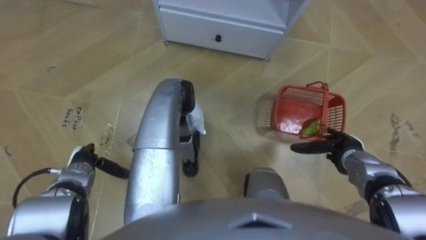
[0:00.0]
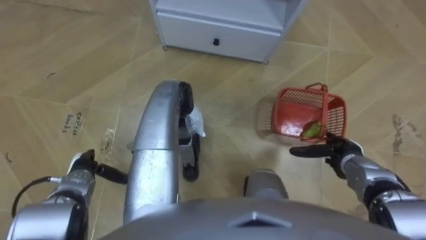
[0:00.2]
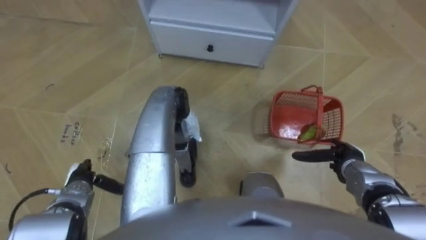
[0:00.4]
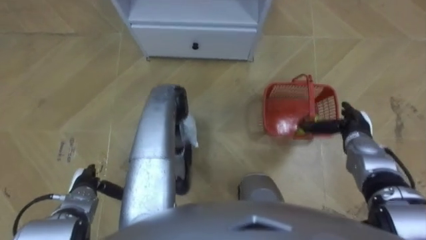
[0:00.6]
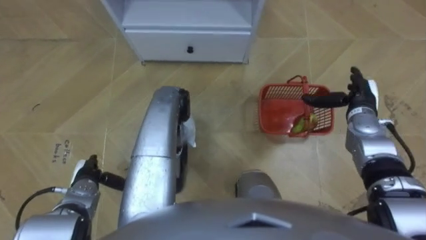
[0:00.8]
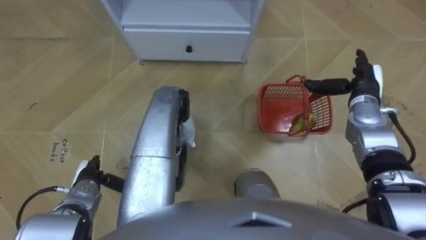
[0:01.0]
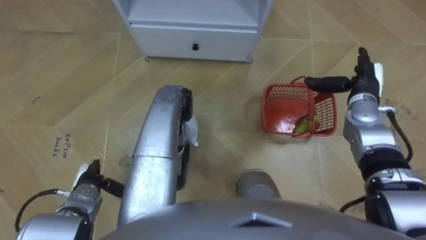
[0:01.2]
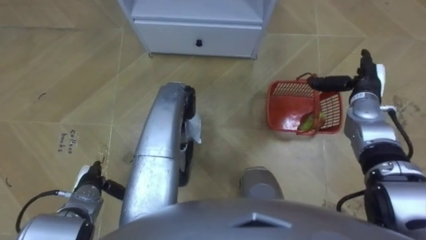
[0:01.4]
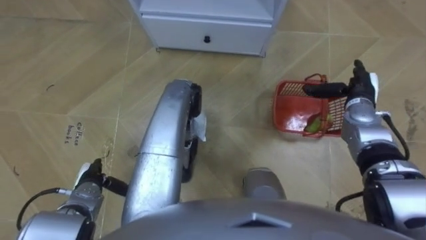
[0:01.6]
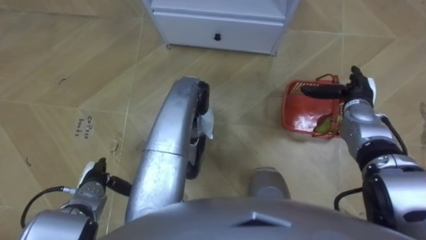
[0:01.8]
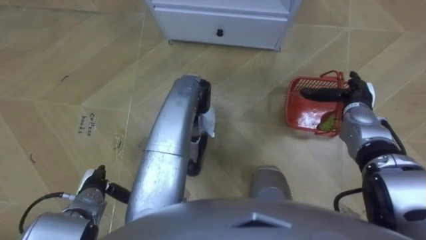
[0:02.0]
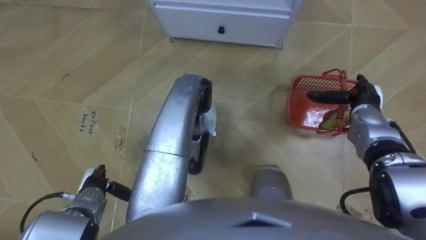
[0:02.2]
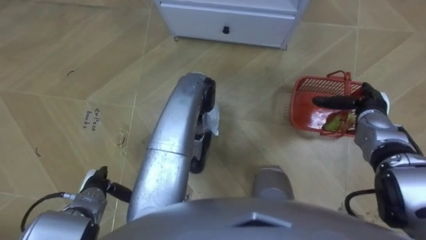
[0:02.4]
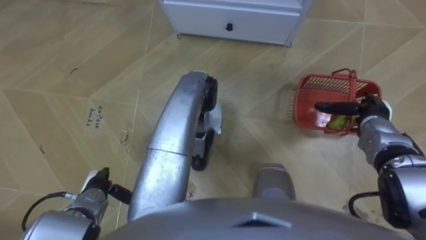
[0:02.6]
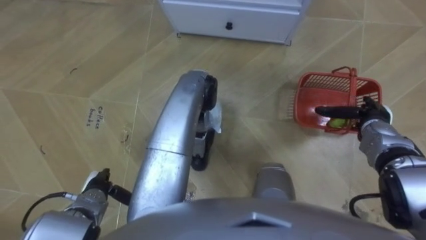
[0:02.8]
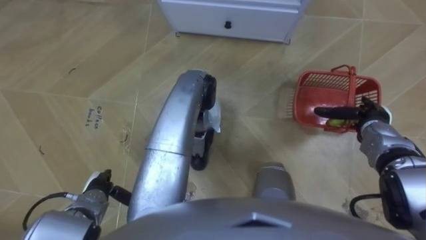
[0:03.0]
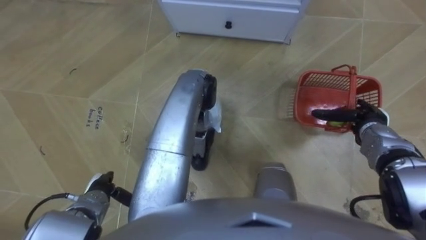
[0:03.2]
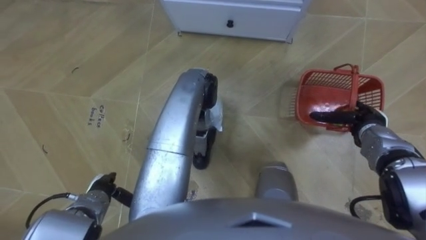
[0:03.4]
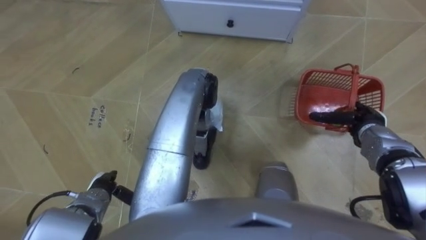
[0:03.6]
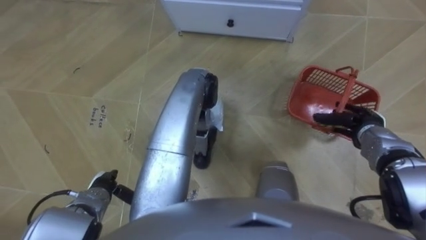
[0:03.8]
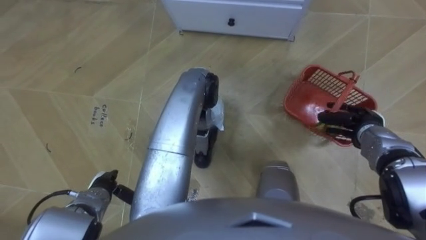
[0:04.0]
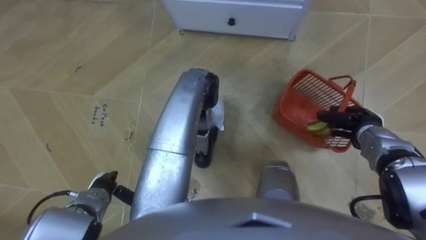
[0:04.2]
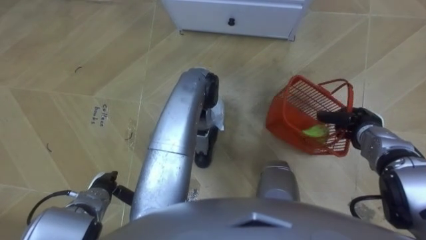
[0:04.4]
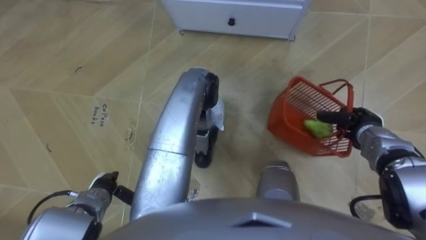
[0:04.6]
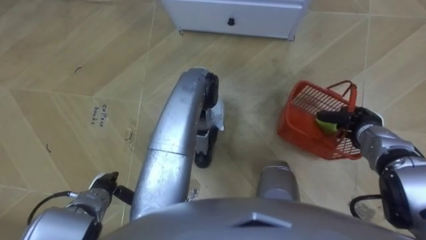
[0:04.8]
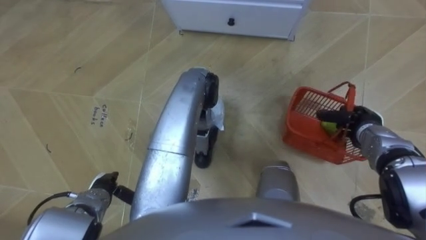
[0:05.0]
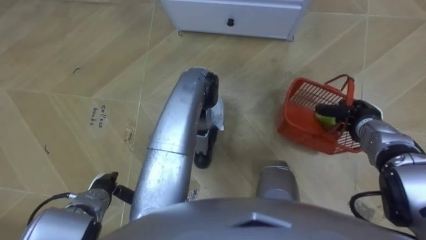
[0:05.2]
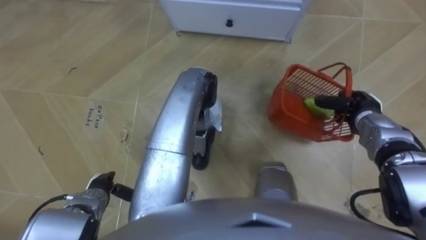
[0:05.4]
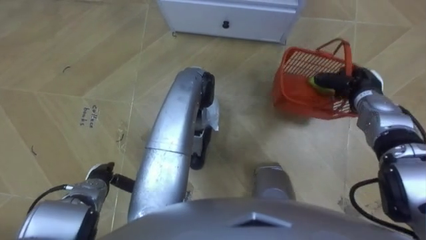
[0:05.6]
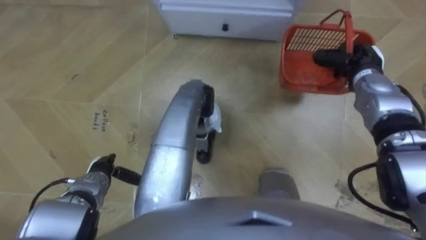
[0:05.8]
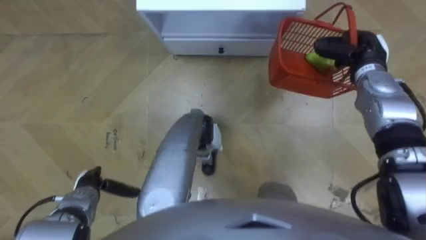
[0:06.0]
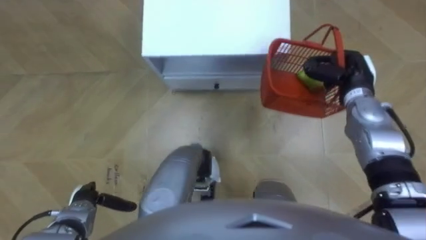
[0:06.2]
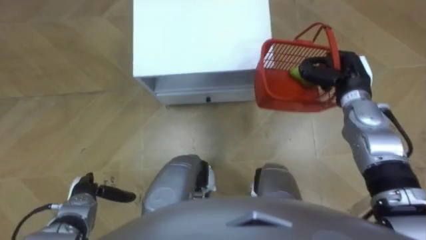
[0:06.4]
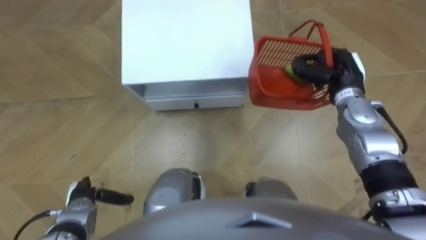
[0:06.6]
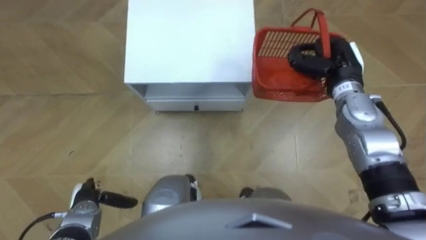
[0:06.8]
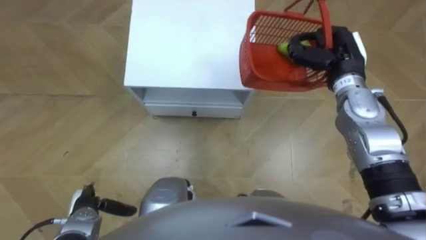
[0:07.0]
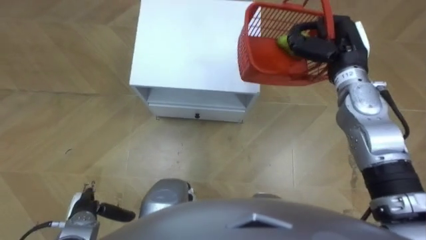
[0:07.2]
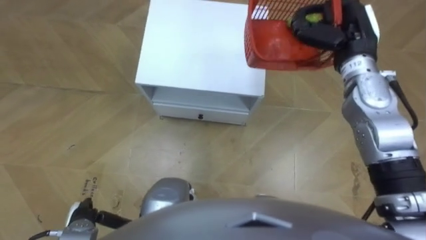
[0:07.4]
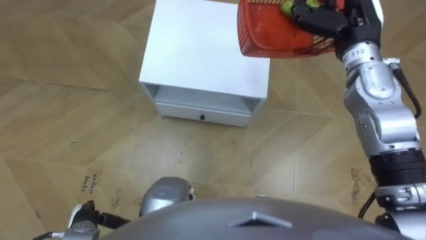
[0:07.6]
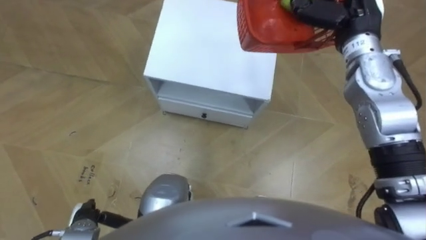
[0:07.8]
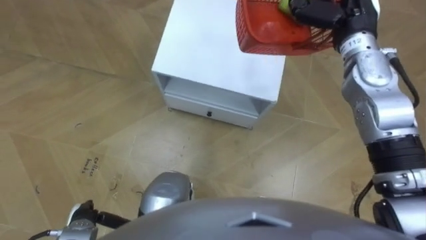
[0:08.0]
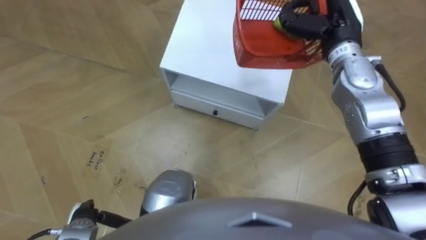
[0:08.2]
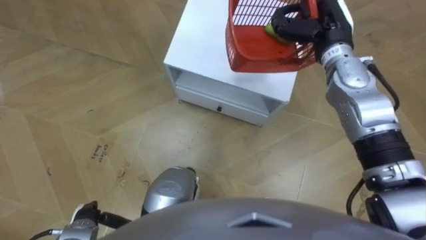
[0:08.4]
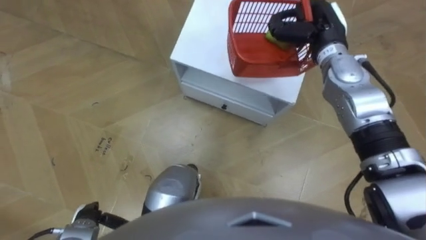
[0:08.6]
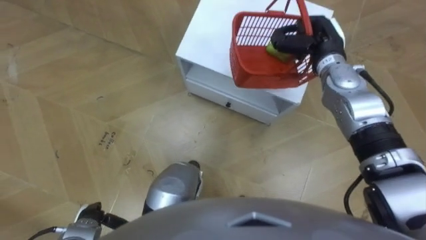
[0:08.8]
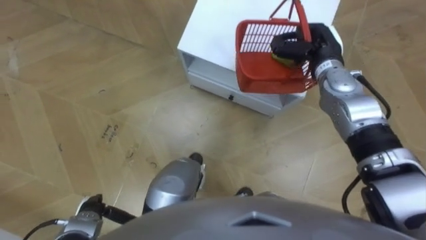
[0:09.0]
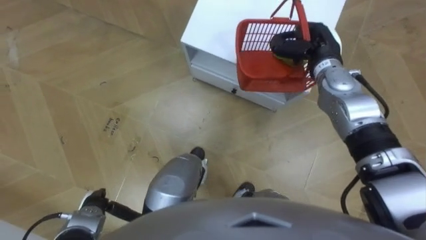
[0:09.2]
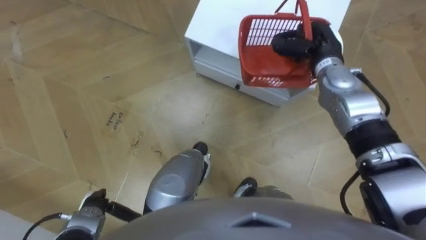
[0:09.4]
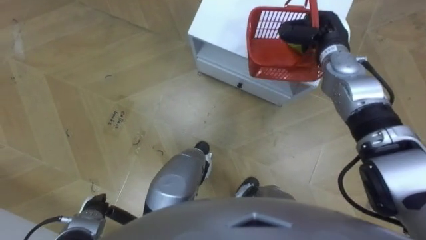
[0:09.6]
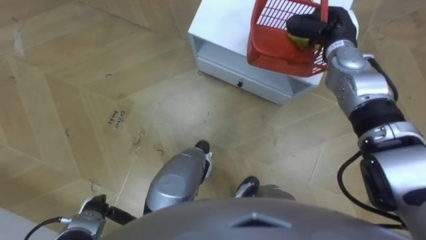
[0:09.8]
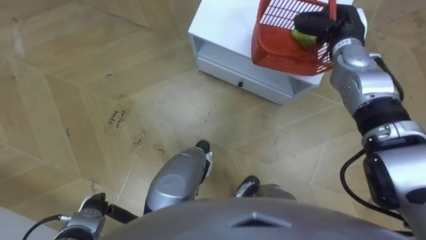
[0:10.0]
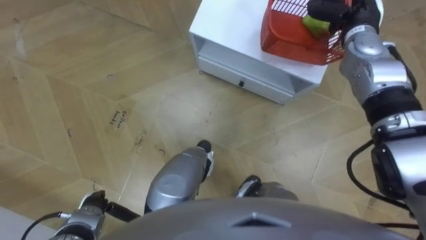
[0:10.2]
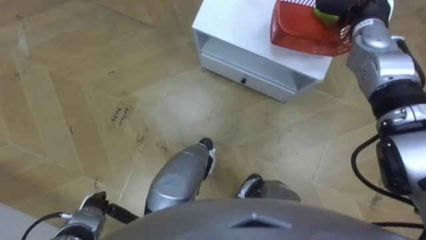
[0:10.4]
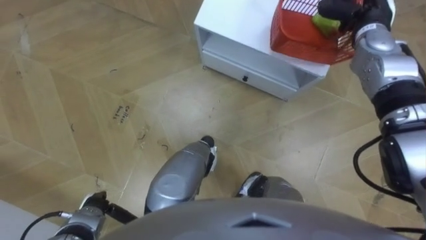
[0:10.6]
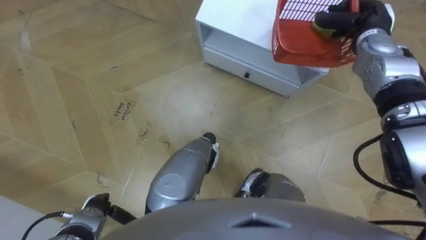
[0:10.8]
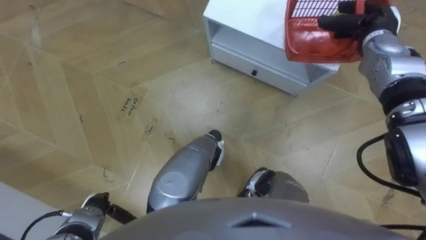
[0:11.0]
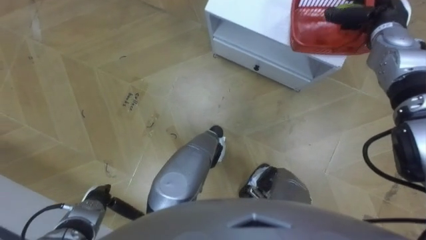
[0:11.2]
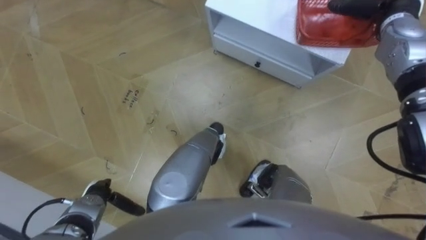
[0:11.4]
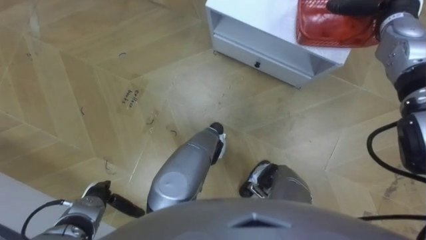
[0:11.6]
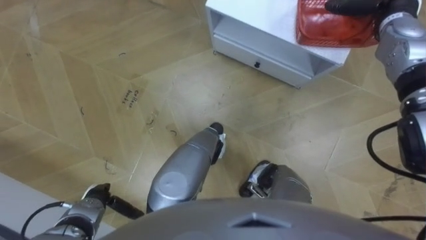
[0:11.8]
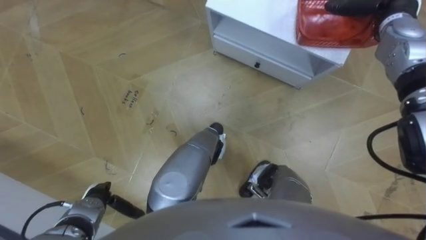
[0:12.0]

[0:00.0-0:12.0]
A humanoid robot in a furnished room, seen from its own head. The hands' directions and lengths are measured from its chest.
Task of the whole recording: Pick up the fruit basket from the floor and place it on the cabinet.
0:00.0 to 0:01.6: The right hand heads forward and upward, covering approximately 15 cm.
0:01.6 to 0:03.0: The right hand shifts approximately 5 cm backward.
0:03.0 to 0:04.4: The right hand closes up.
0:04.4 to 0:06.0: The right hand goes about 15 cm forward and upward.
0:06.0 to 0:07.6: The left hand travels backward by roughly 10 cm. The right hand heads upward and to the left, covering about 10 cm.
0:07.6 to 0:09.0: The right hand goes roughly 10 cm downward.
0:09.0 to 0:10.4: The right hand travels to the right by some 5 cm.
0:10.4 to 0:12.0: The right hand opens.

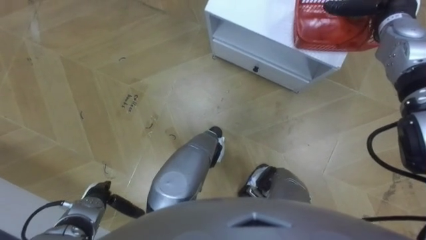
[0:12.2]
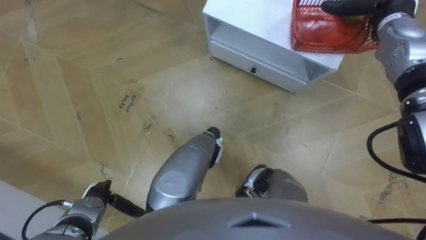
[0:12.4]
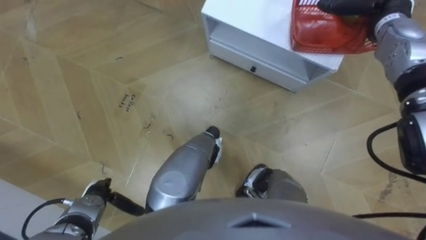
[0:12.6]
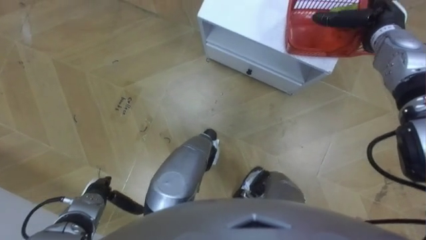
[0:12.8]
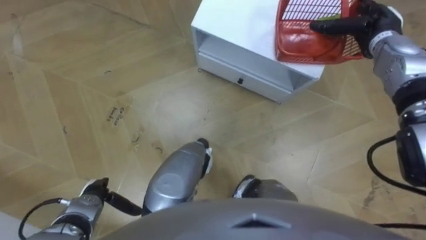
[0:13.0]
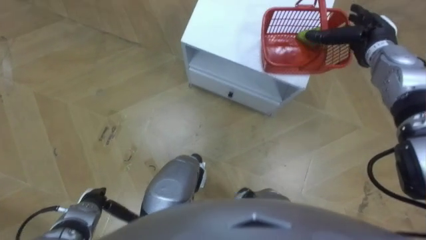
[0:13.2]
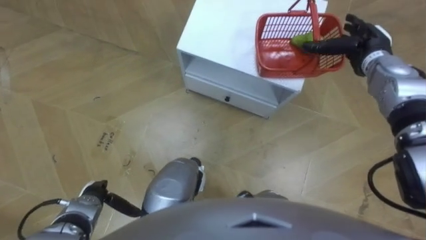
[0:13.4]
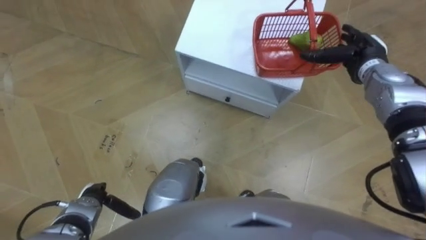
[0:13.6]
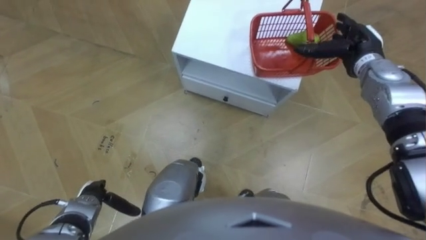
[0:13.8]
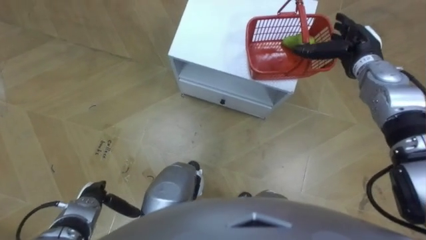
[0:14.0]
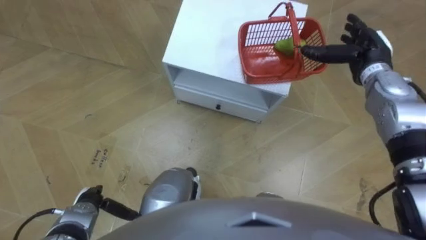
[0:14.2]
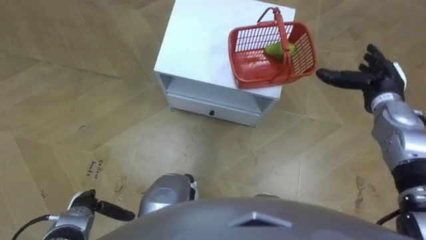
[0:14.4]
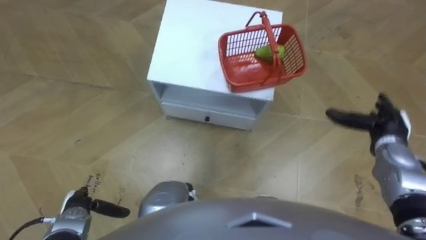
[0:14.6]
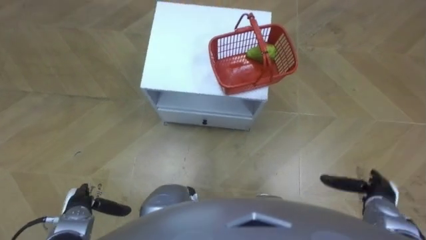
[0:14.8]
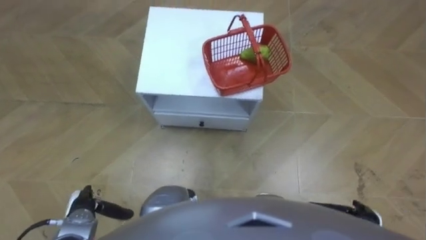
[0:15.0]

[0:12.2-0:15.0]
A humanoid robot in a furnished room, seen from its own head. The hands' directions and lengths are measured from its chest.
Task of the whole recording: Pick up the fruit basket from the floor and place it on the cabinet.
0:12.2 to 0:13.6: The right hand heads downward and backward, covering approximately 10 cm.
0:13.6 to 0:15.0: The right hand travels backward and downward by roughly 35 cm.

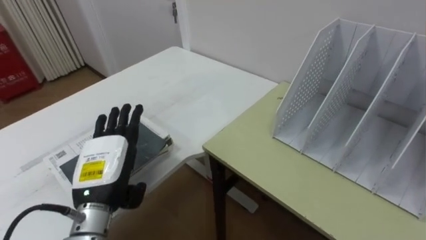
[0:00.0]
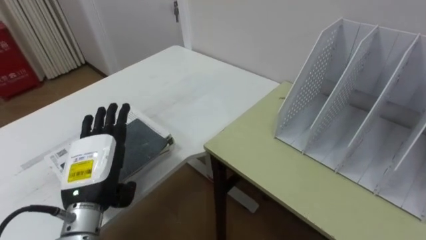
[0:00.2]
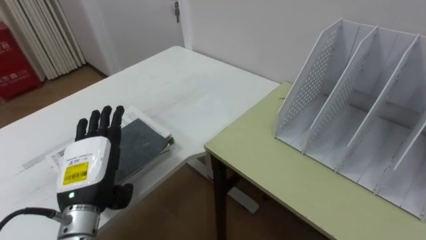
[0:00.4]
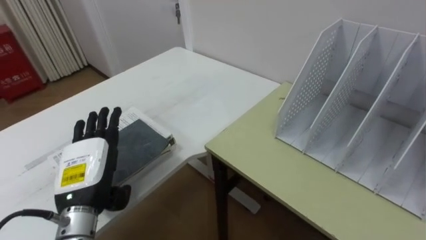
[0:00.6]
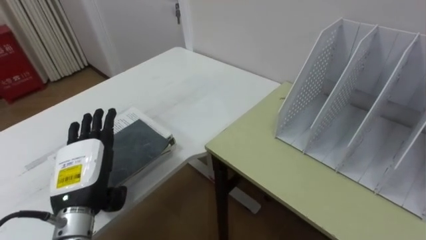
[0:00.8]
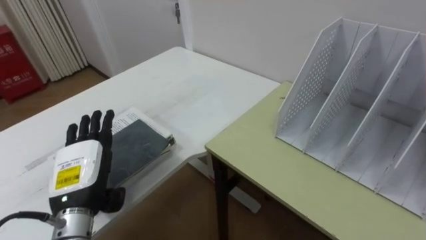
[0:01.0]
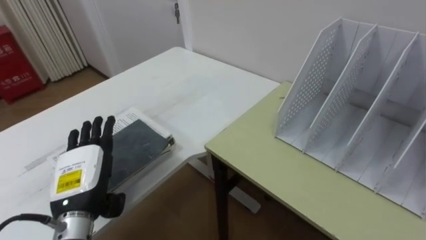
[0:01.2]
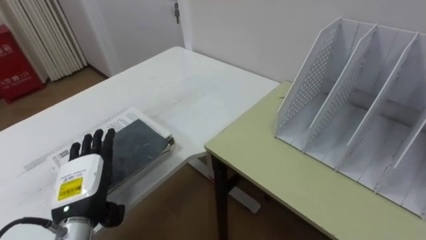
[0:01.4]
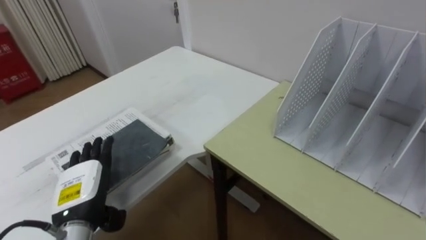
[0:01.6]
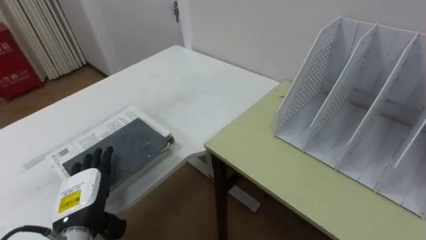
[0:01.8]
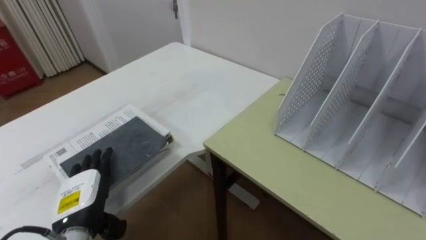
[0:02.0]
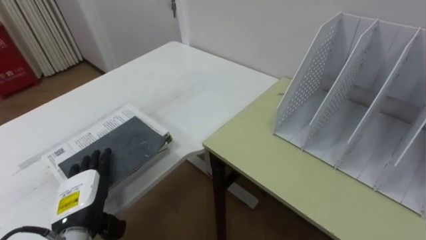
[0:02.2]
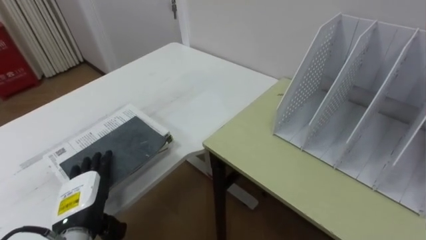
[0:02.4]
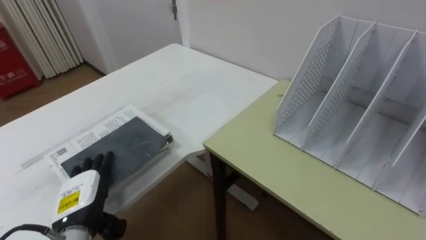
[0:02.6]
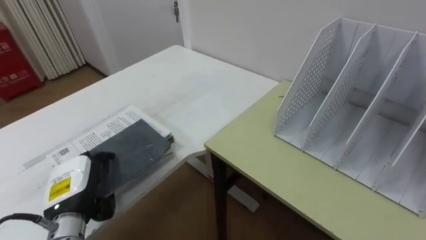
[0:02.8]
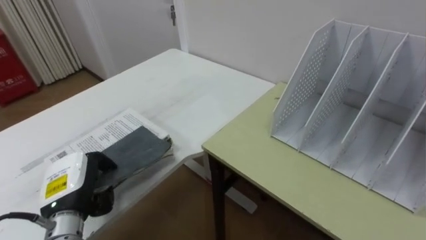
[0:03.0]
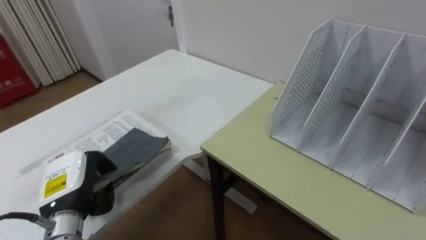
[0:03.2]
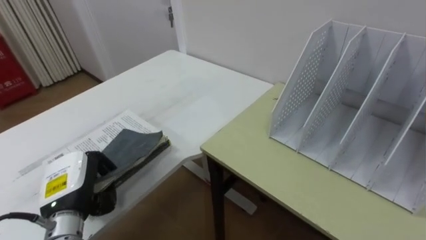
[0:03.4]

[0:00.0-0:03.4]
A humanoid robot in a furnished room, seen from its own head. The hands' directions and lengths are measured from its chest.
Task of the whole recording: Put the books on the table onto the bookshelf.
0:00.0 to 0:01.6: The left hand ends up some 5 cm from where it was.
0:01.6 to 0:03.4: The left hand closes up.
